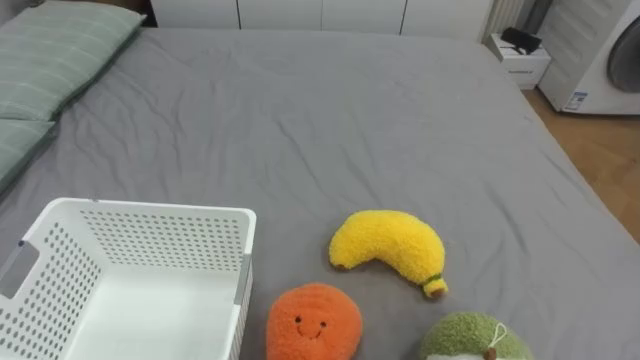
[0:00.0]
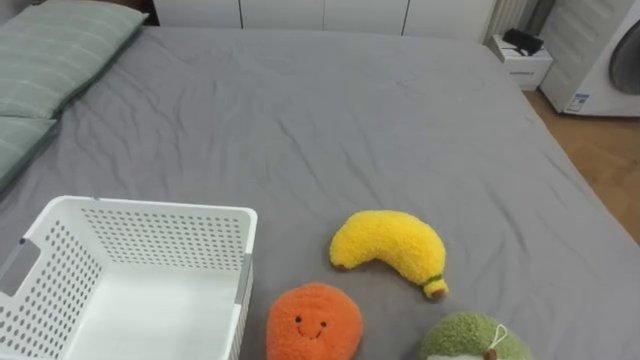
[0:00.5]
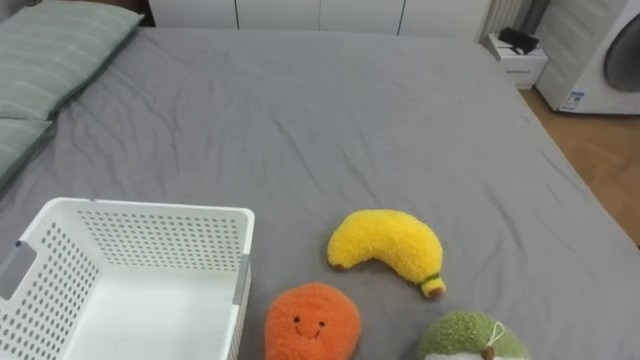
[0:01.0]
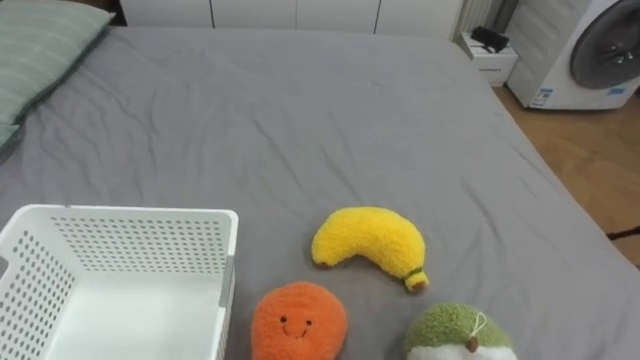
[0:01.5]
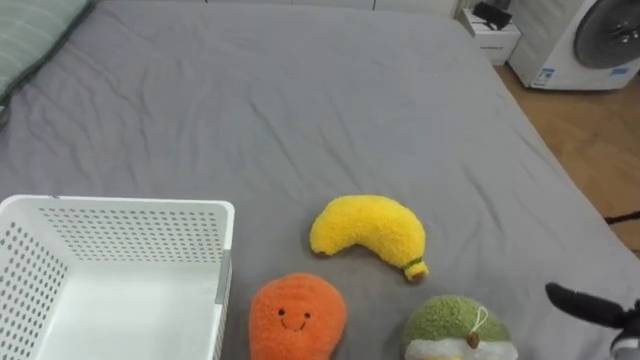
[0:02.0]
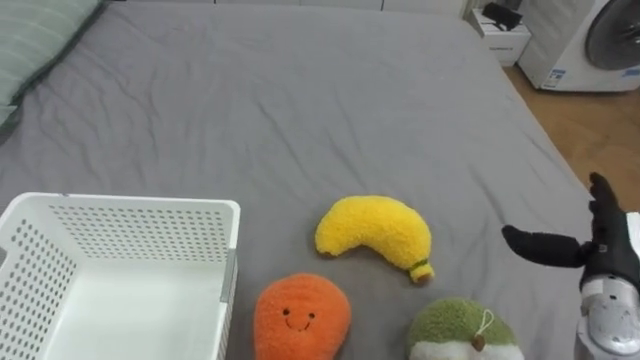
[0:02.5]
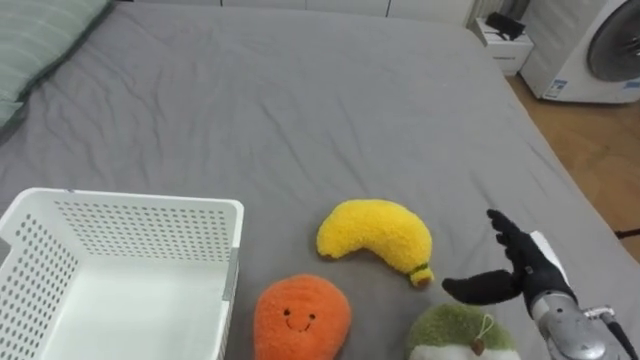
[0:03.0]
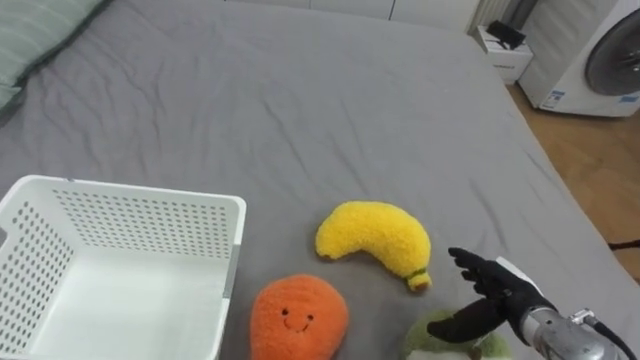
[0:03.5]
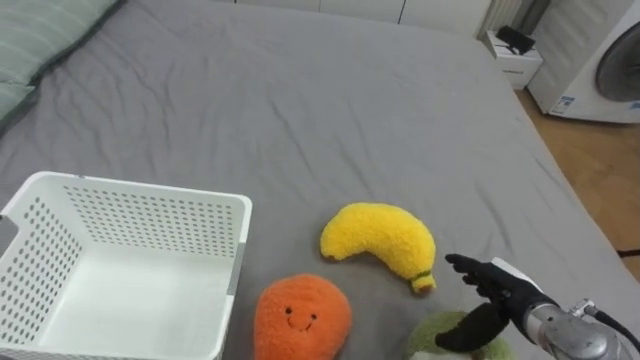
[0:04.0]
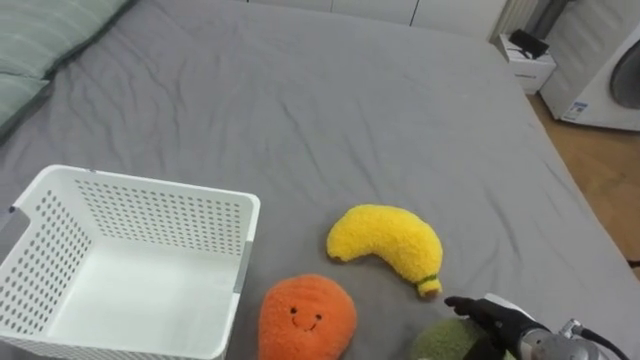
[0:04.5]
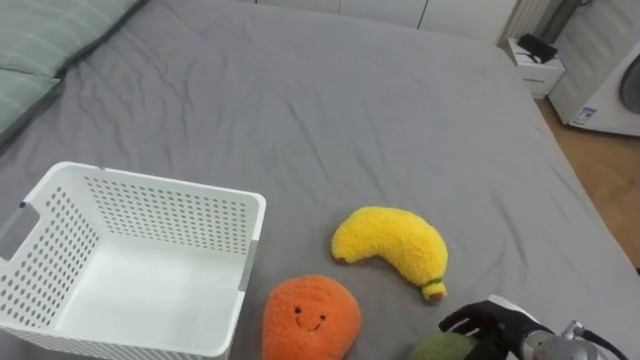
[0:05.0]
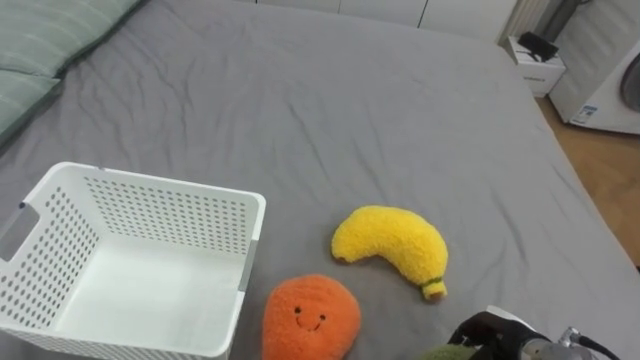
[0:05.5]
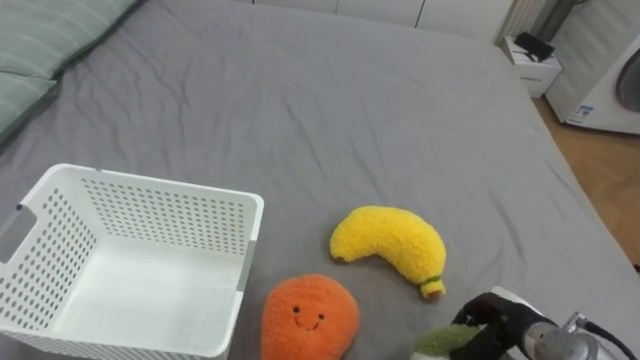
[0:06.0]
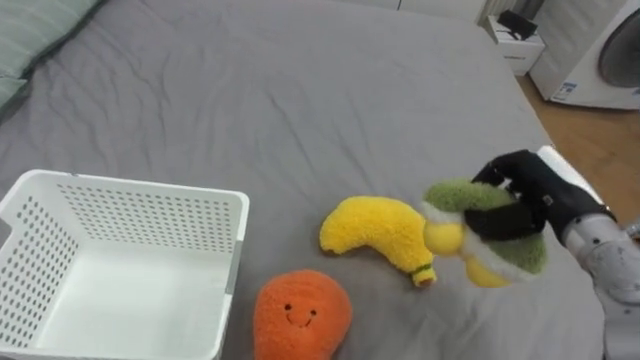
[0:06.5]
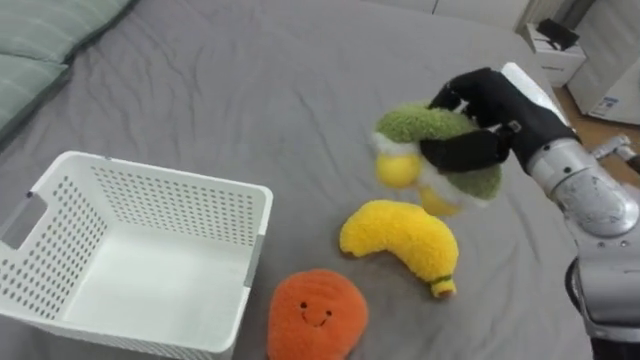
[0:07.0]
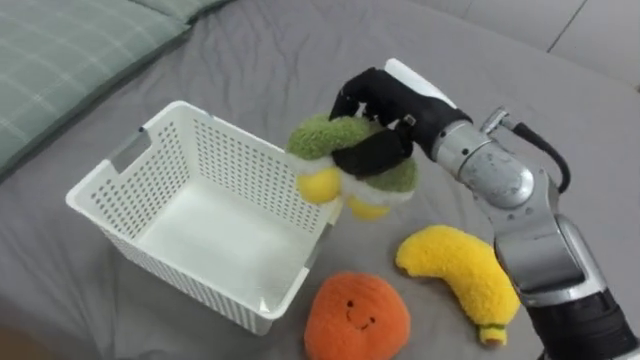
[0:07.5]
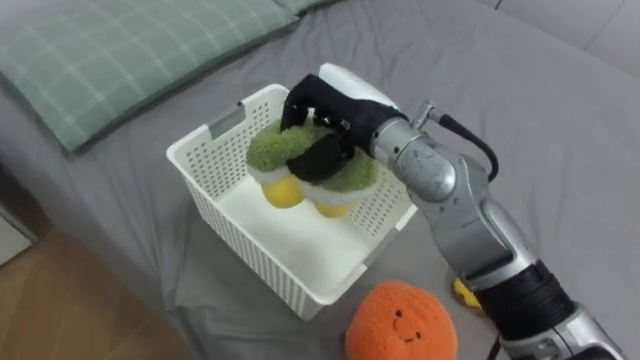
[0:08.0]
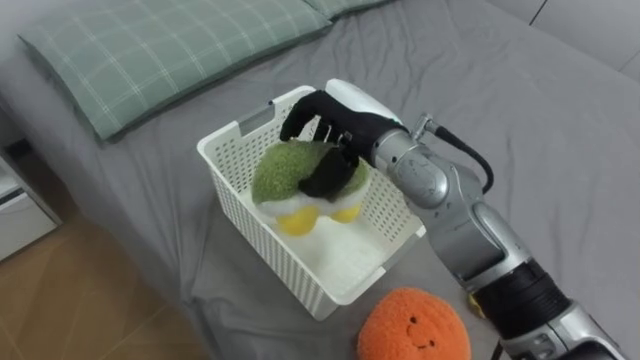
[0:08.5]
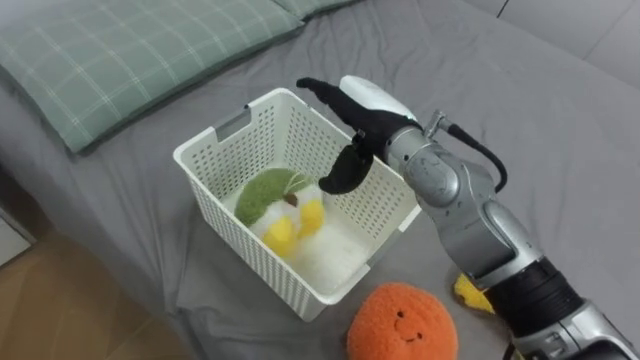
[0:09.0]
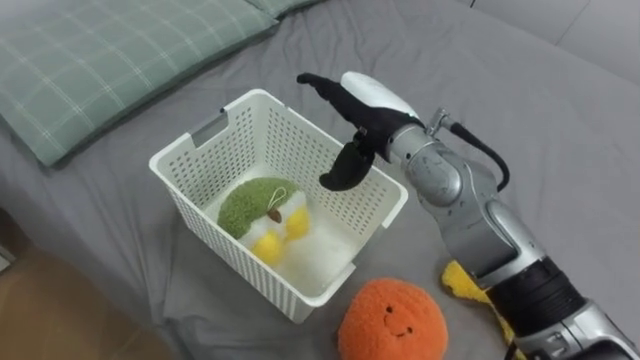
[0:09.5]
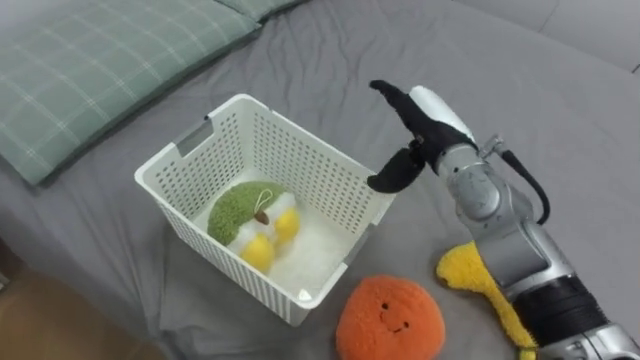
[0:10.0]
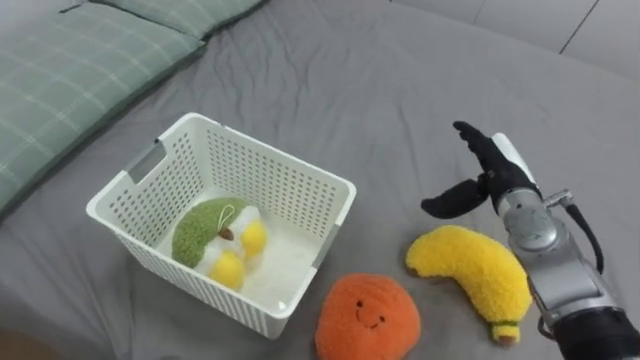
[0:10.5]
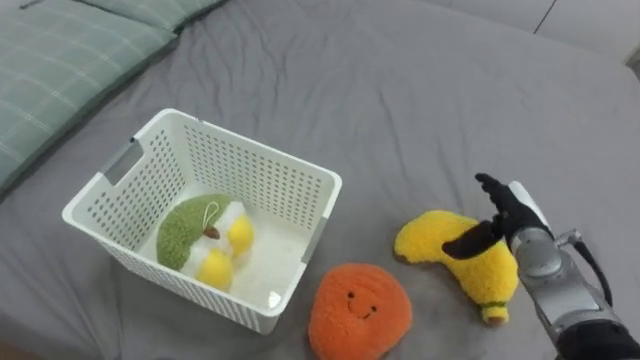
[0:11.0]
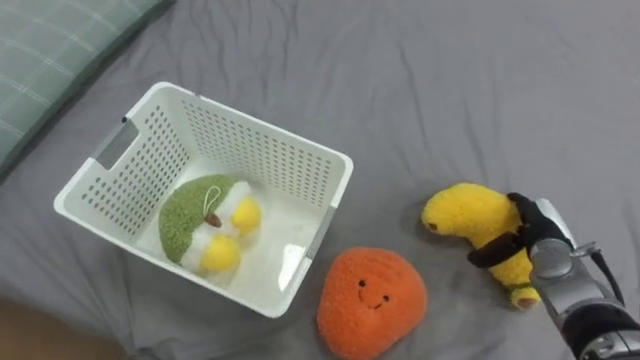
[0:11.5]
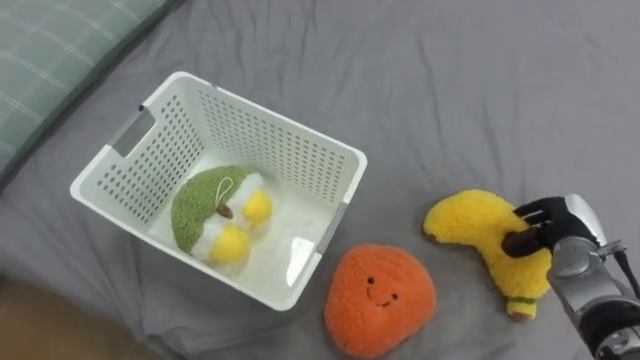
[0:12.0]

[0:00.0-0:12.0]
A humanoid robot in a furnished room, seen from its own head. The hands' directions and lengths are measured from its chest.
Task of the whole recording: Put the toys on the bed into the basket on the left.
0:02.0 to 0:04.0: The right hand heads to the left and forward, covering approximately 15 cm.
0:04.0 to 0:06.0: The right hand closes its fingers.
0:06.0 to 0:08.0: The right hand goes about 35 cm upward, to the left and forward.
0:08.0 to 0:10.0: The right hand is displaced to the right and downward by roughly 10 cm, and opens its fingers.
0:10.0 to 0:12.0: The right hand heads to the right and downward, covering about 25 cm, and closes.

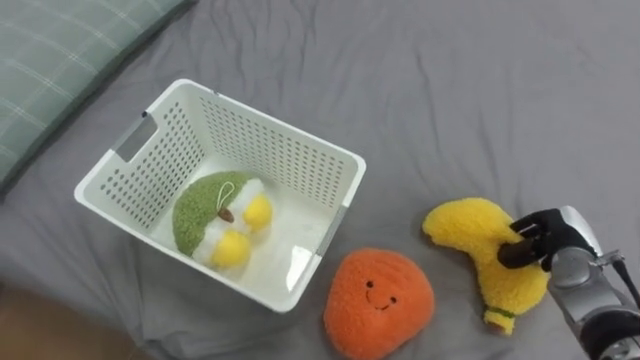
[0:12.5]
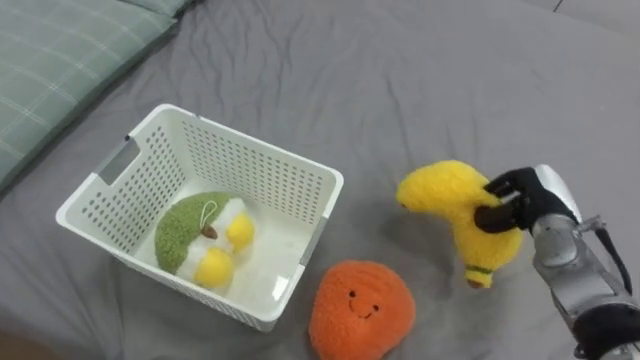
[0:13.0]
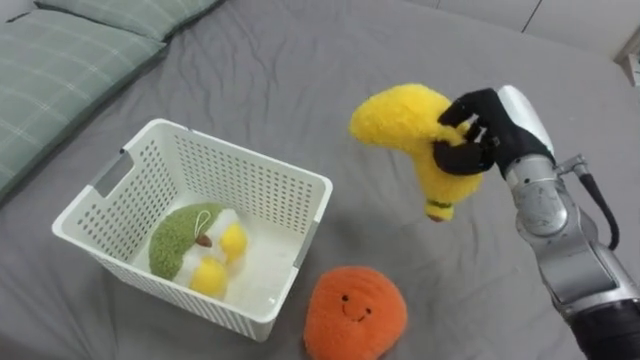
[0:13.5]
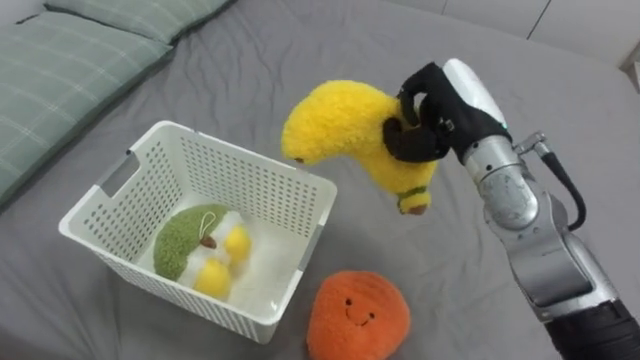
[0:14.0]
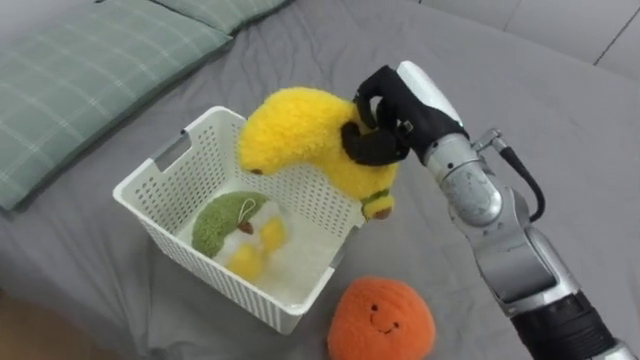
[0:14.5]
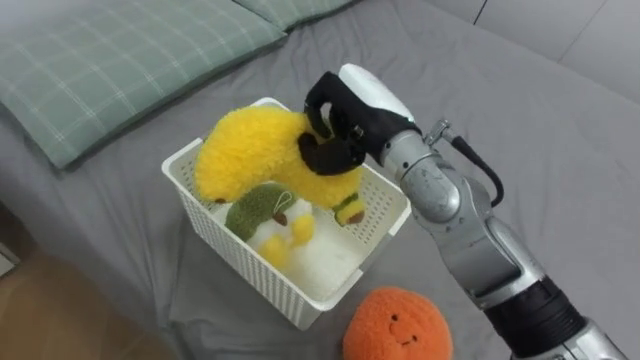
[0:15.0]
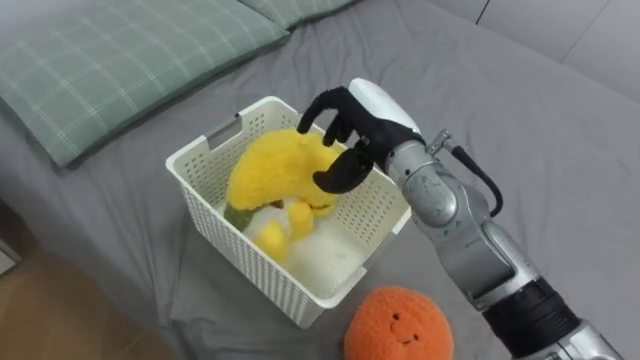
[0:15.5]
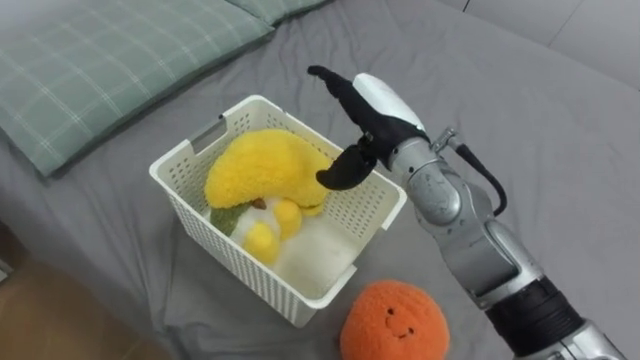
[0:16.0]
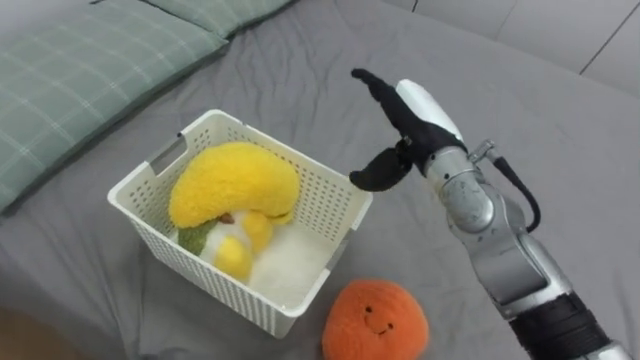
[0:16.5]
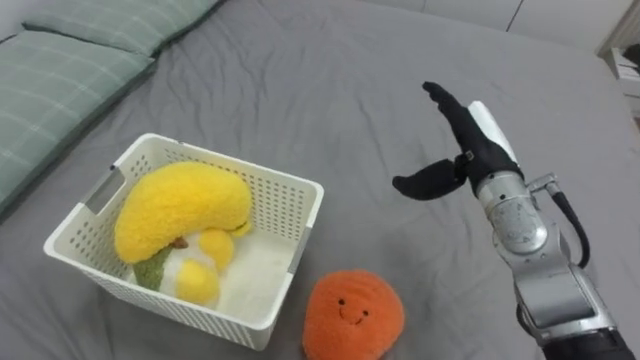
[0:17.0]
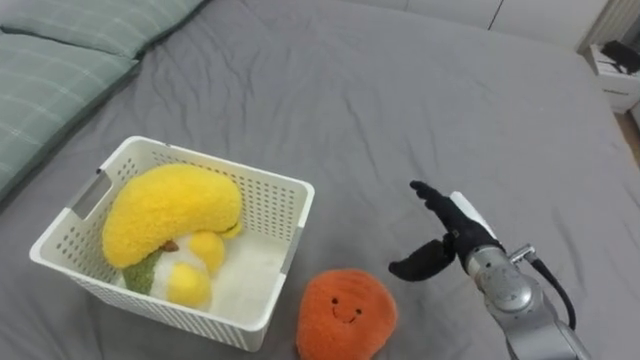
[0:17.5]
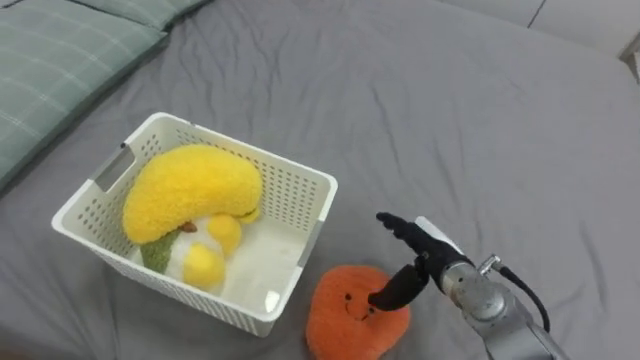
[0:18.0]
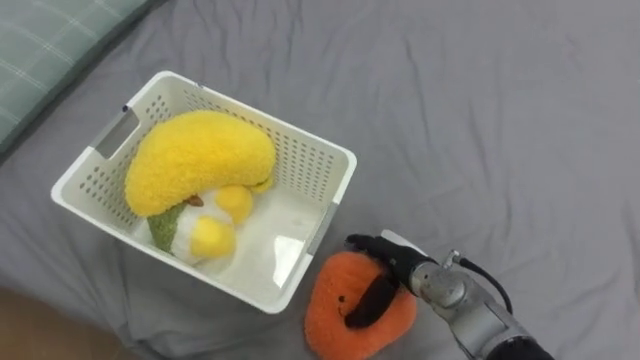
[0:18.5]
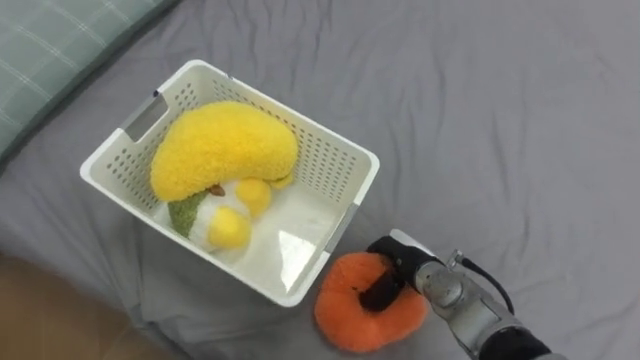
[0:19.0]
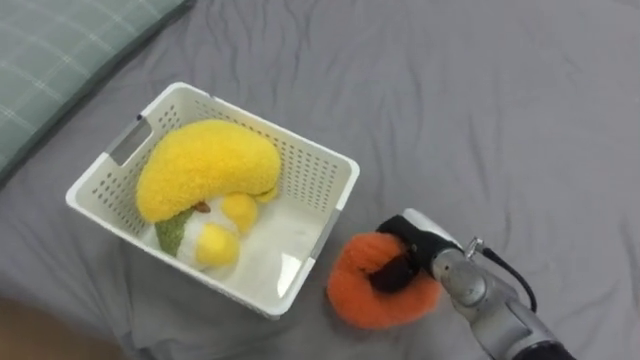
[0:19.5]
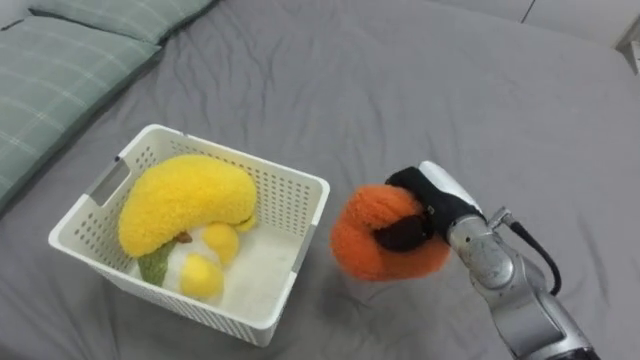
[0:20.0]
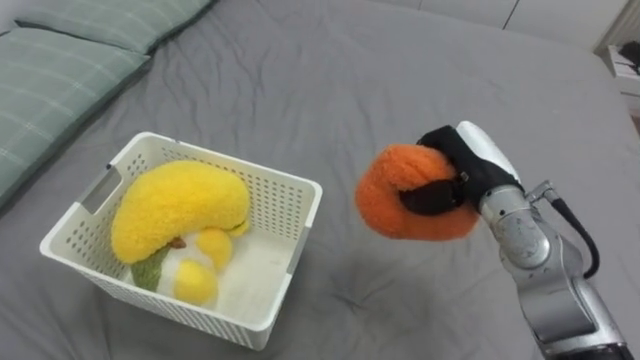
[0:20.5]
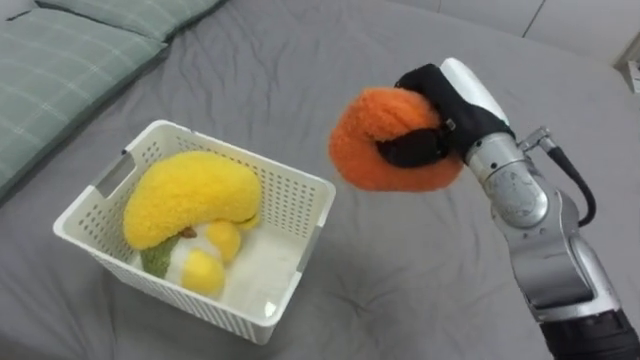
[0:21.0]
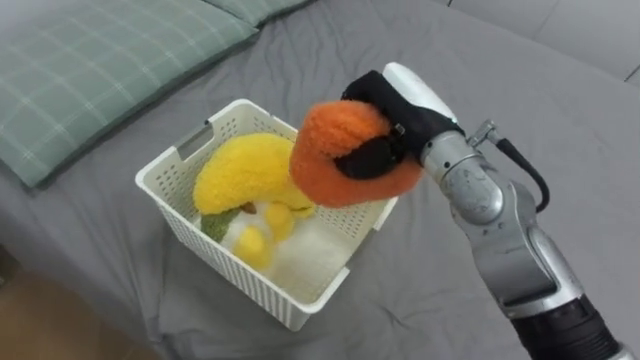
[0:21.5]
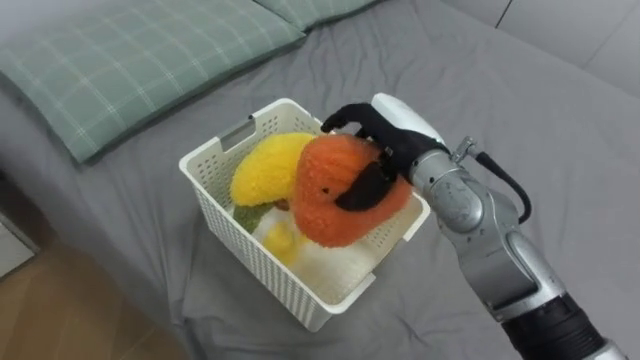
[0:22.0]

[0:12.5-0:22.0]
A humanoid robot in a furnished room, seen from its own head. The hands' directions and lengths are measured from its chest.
Task of the whole recording: Put the toys on the bed into the basket on the left.
0:12.5 to 0:14.5: The right hand goes some 30 cm to the left and upward.
0:14.5 to 0:16.5: The right hand opens its fingers.
0:16.5 to 0:18.0: The right hand goes some 20 cm downward and backward.
0:18.0 to 0:20.0: The right hand moves upward, some 5 cm, and closes its fingers.
0:20.0 to 0:22.0: The right hand shifts approximately 10 cm upward and to the left, and opens up.
